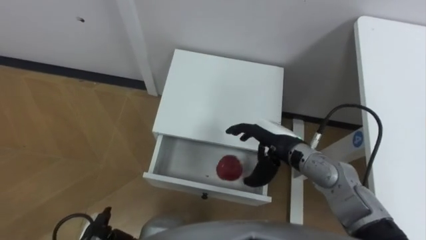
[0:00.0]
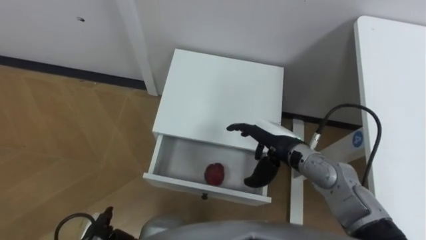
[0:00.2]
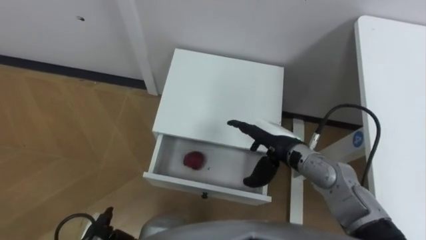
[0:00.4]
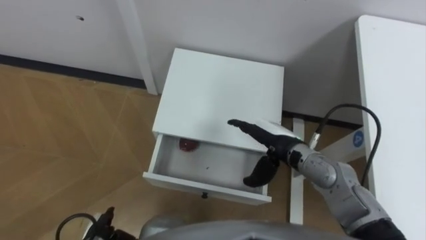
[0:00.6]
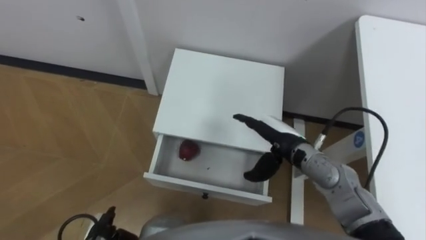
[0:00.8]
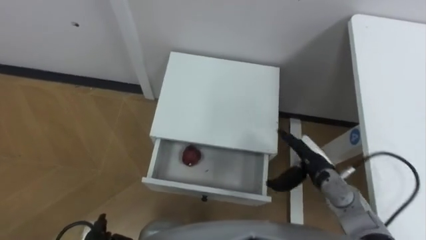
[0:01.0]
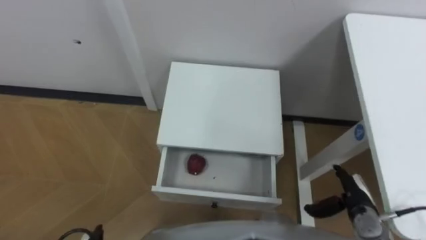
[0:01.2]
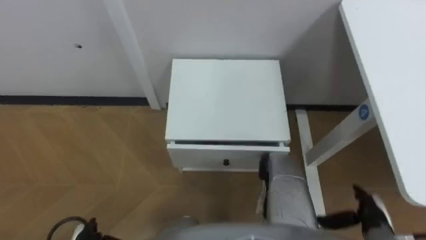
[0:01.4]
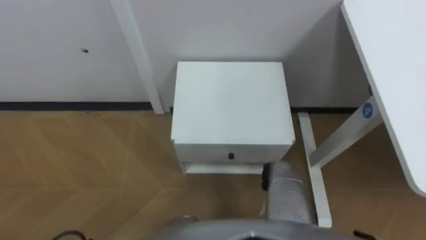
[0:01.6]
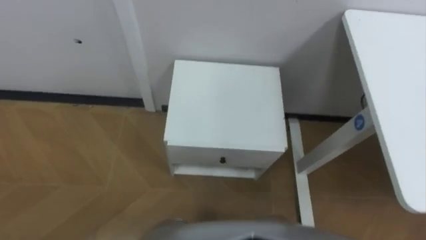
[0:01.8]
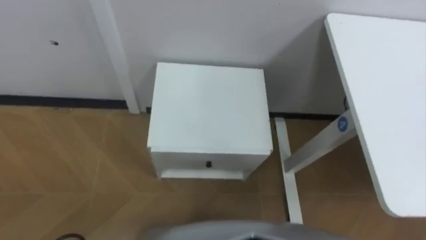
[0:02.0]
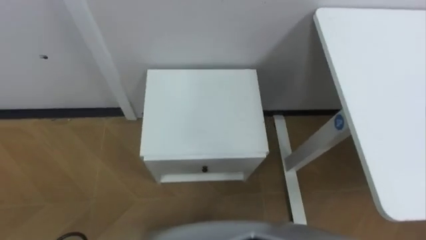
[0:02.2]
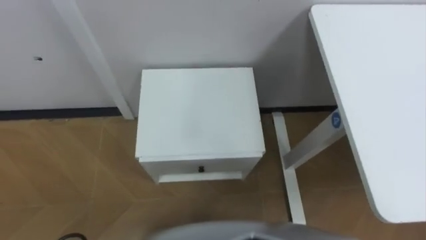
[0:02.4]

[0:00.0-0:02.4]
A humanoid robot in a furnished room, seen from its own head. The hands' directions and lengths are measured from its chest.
Task of the whole recording: Pick up the apple from the table, put it in the drawer, and close the drawer with leg.
0:00.0 to 0:01.2: The right hand moves to the right, backward and downward, roughly 25 cm.

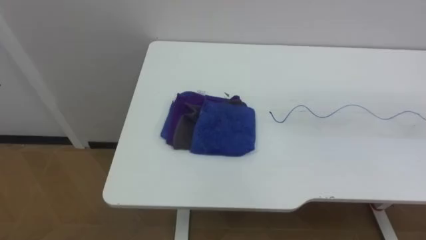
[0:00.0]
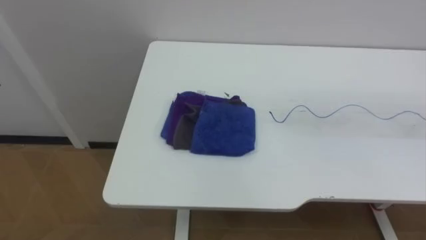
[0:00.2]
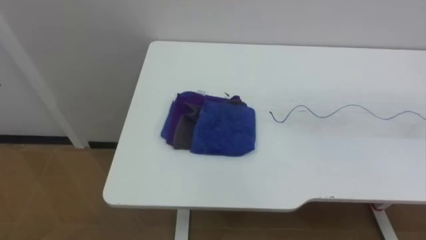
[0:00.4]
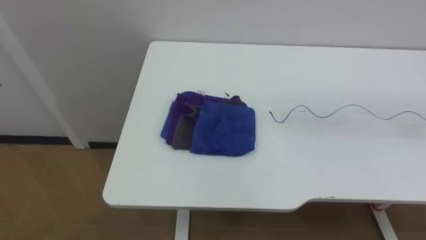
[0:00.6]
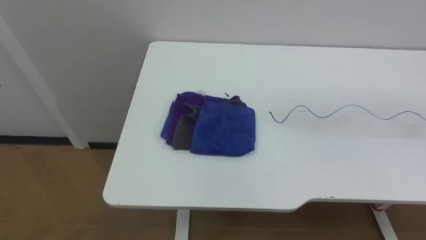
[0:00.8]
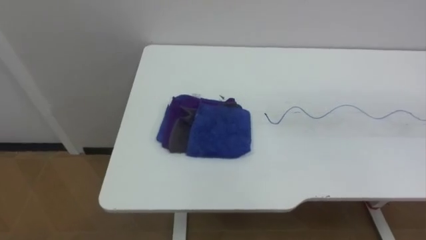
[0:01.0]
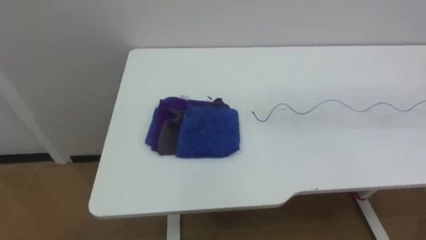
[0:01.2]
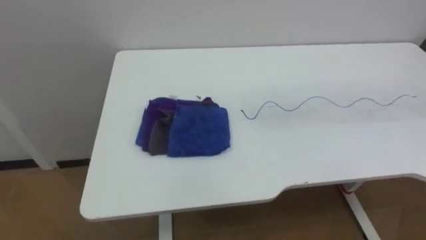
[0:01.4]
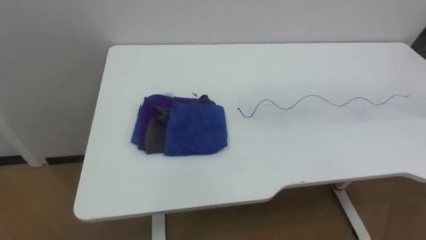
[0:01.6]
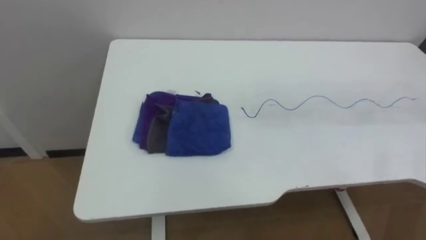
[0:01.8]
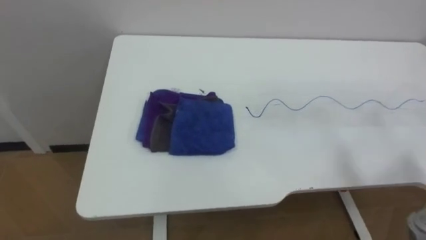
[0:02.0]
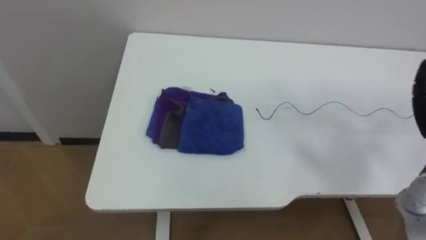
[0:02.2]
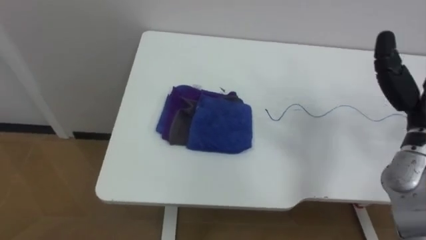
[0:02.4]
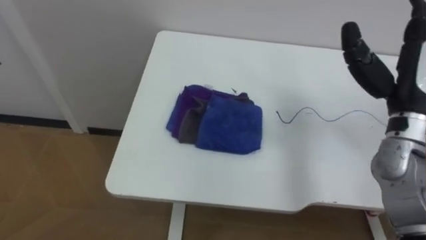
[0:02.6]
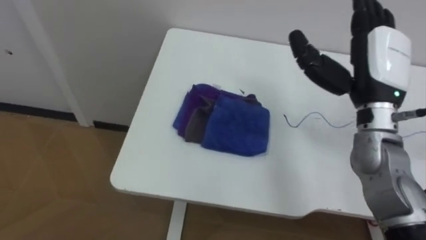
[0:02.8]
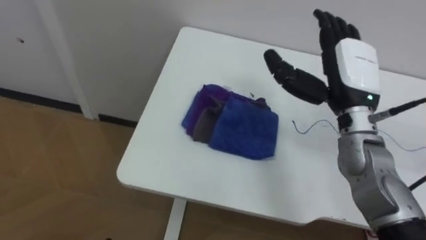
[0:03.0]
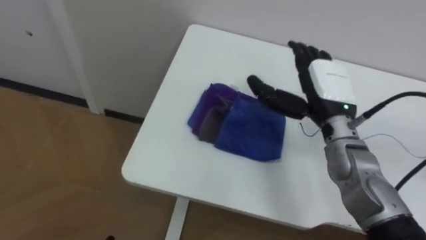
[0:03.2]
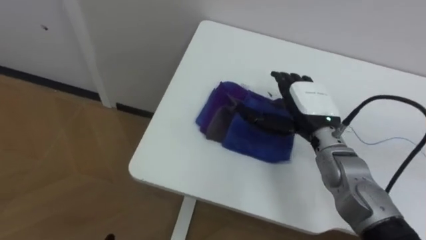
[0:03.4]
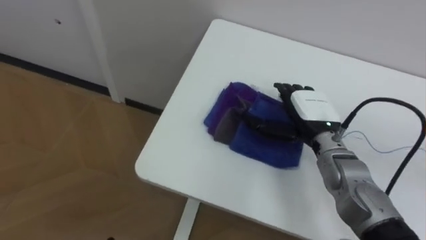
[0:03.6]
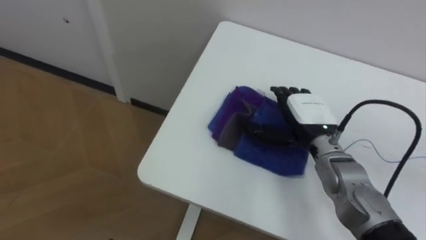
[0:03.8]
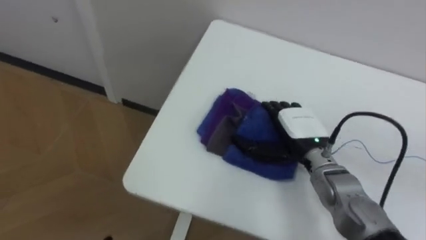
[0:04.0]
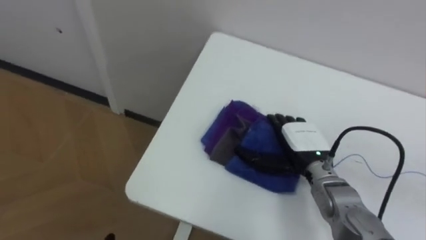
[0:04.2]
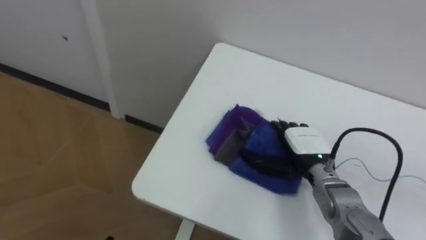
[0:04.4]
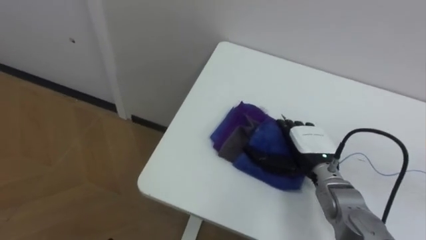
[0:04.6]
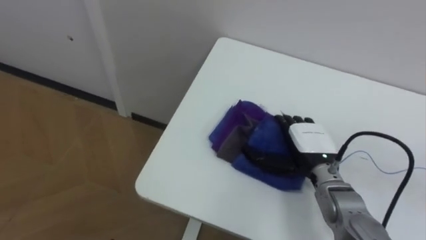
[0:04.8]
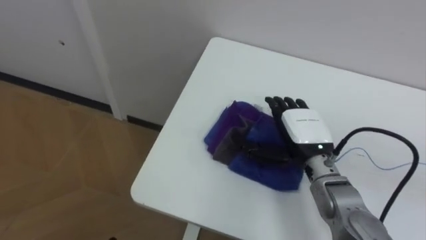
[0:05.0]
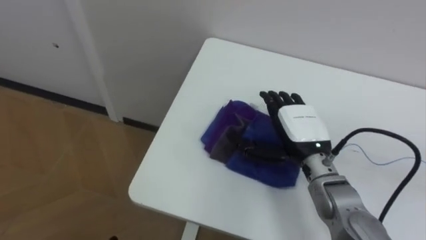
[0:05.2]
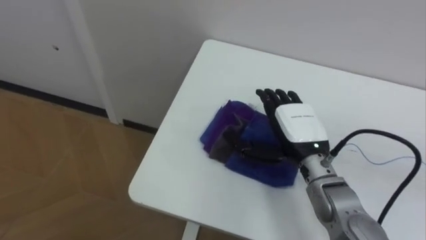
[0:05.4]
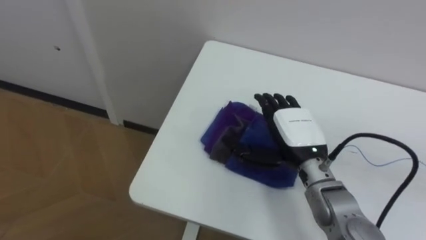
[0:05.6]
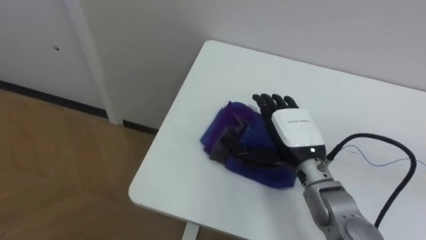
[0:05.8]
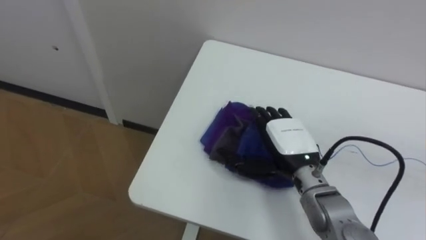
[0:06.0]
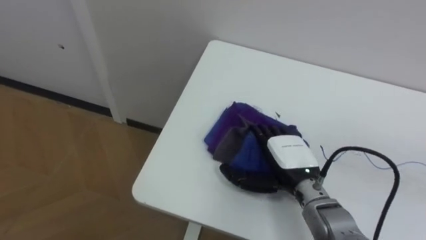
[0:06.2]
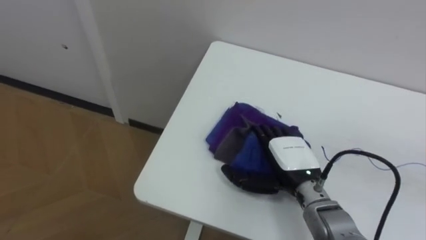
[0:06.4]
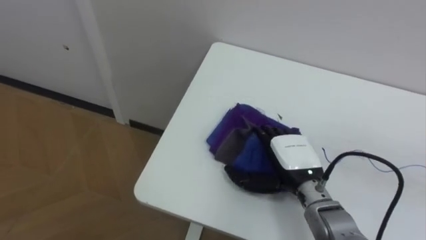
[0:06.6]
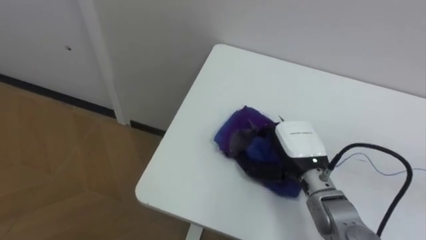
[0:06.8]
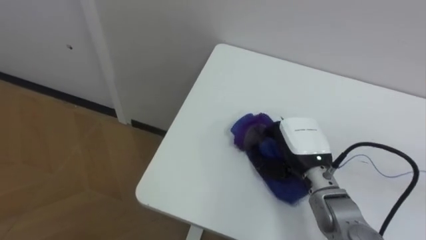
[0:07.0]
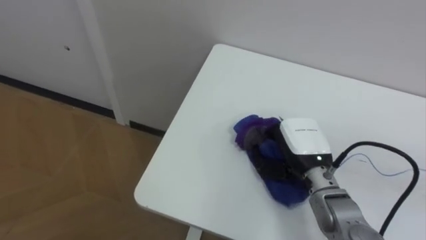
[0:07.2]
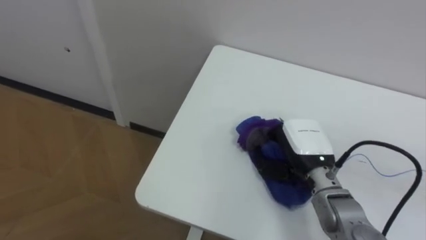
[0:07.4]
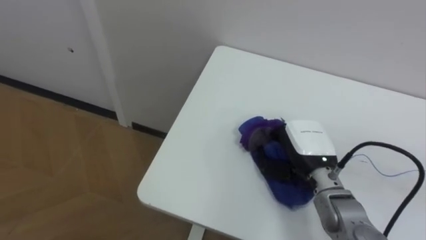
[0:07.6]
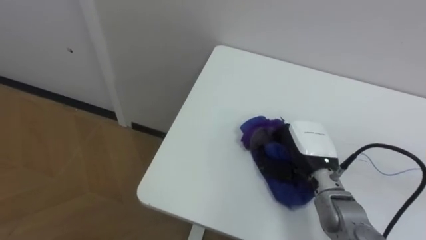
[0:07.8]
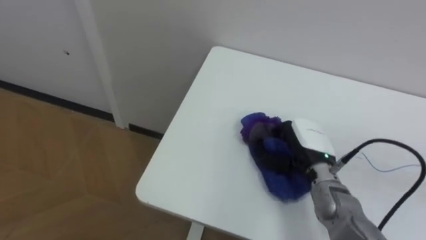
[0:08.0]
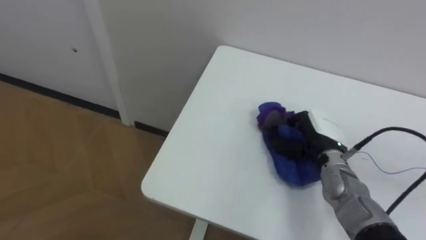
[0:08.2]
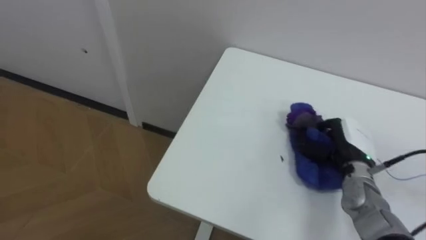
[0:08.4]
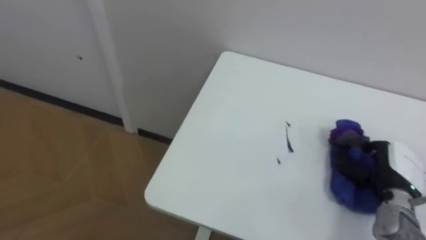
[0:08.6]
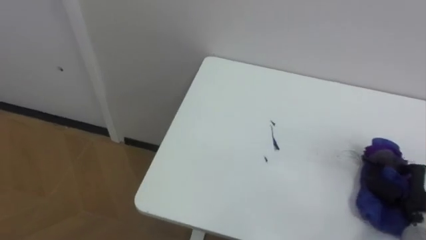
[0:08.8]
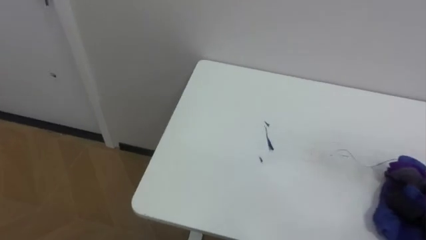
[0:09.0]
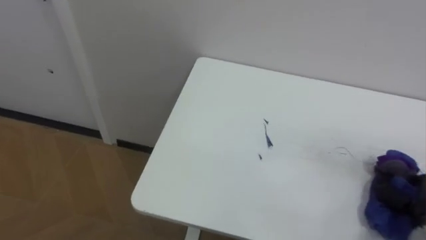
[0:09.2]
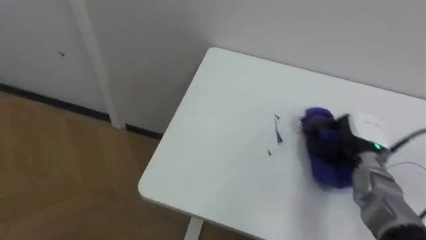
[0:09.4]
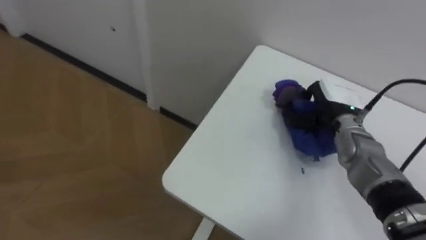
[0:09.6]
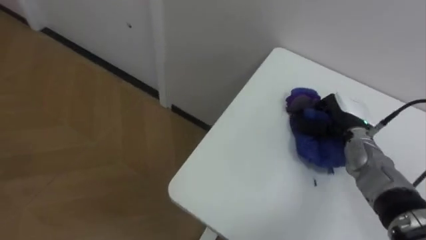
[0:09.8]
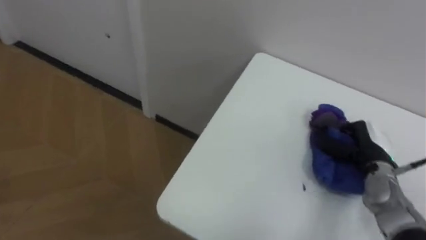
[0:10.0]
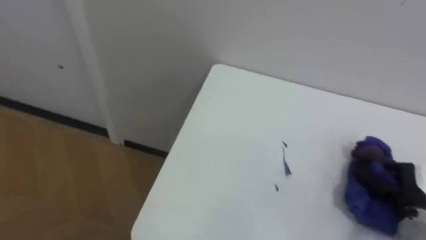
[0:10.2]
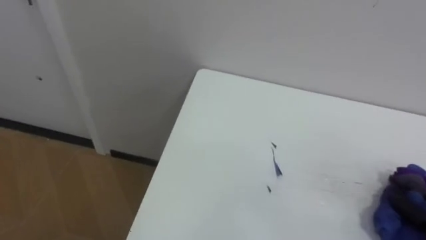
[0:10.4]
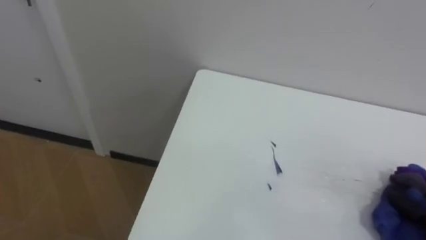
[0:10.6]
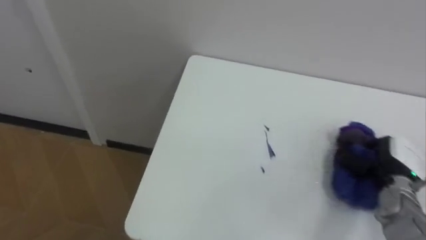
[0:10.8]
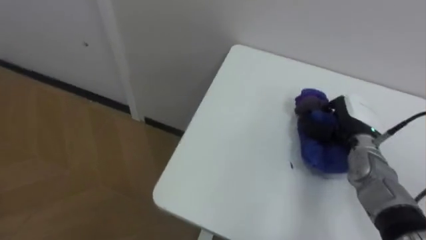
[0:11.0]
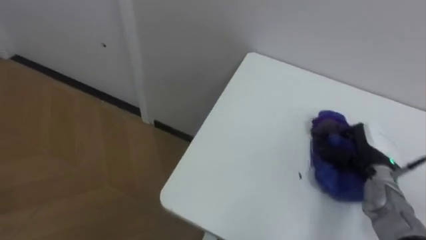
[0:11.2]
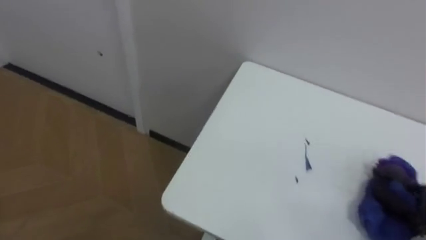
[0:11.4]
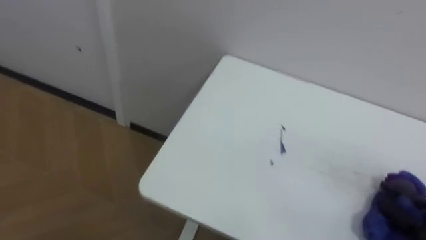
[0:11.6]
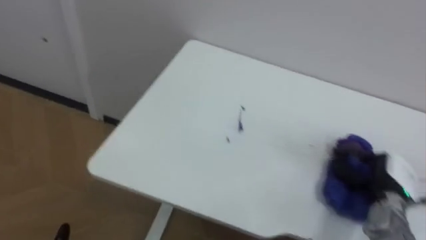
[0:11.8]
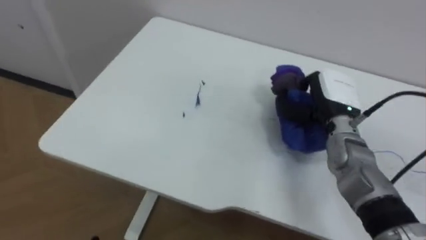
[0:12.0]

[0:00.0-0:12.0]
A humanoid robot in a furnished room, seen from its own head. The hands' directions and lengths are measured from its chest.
Task of the whole recording: Wipe the blue pen marks off the table with the rag.
0:03.0 to 0:04.4: The right hand is displaced downward by approximately 15 cm.
0:04.4 to 0:06.0: The right hand shifts by approximately 5 cm.
0:06.0 to 0:07.6: The right hand closes its fingers.

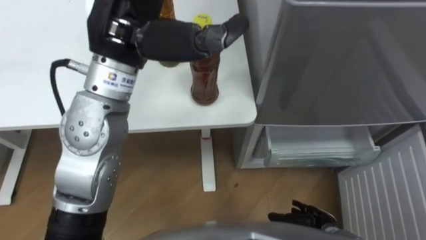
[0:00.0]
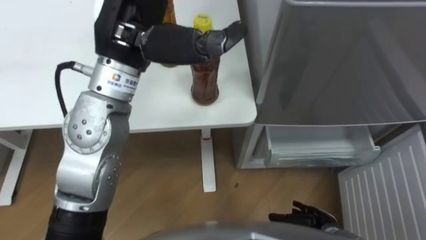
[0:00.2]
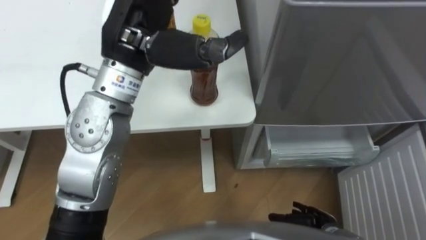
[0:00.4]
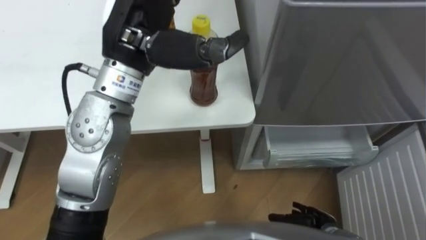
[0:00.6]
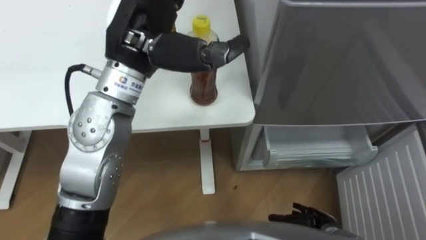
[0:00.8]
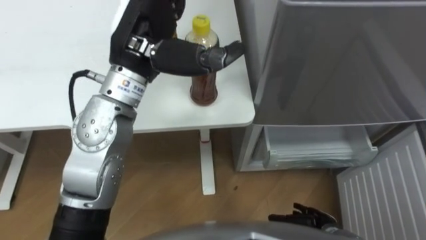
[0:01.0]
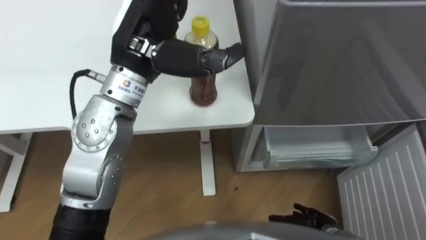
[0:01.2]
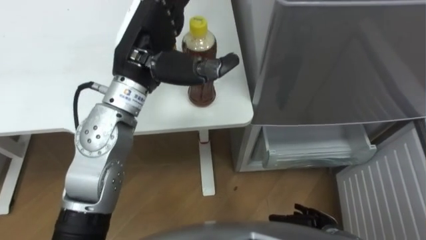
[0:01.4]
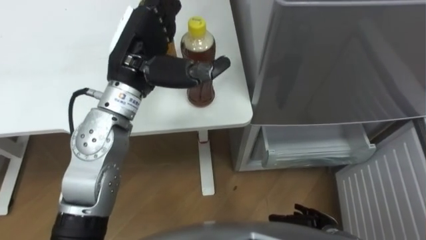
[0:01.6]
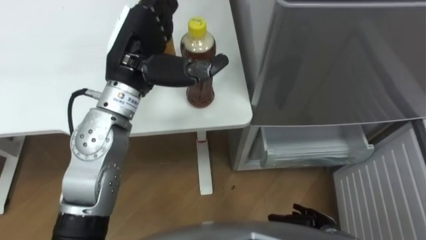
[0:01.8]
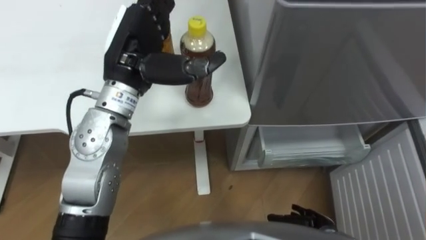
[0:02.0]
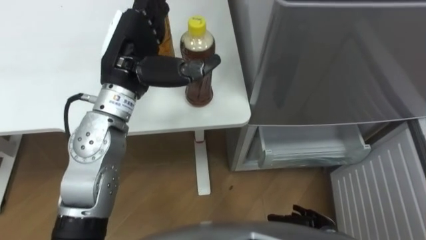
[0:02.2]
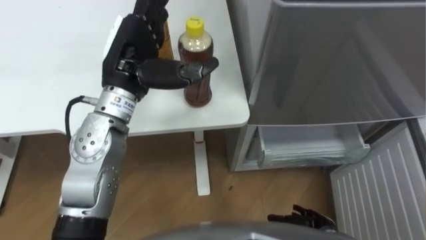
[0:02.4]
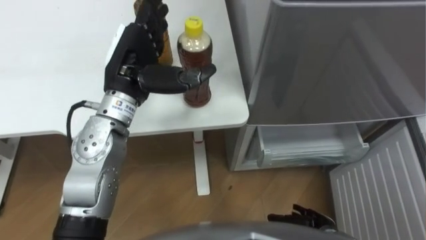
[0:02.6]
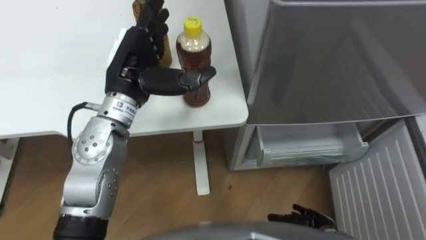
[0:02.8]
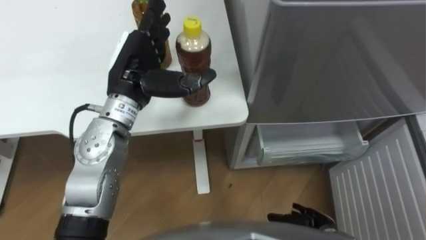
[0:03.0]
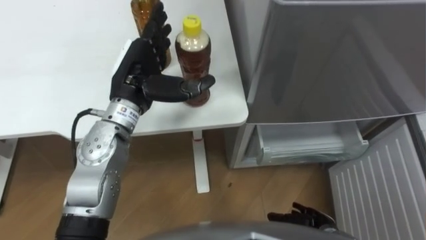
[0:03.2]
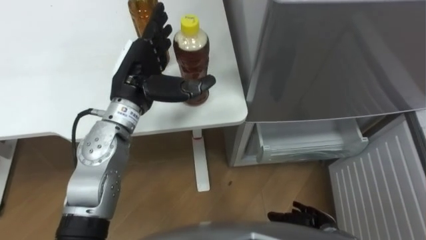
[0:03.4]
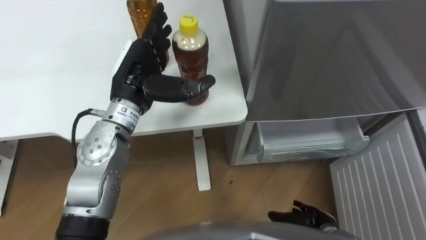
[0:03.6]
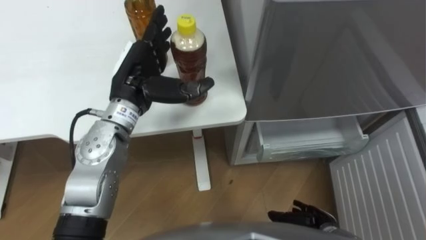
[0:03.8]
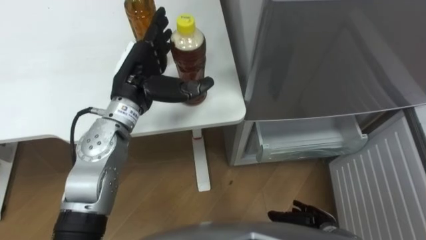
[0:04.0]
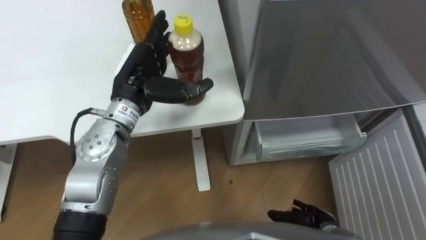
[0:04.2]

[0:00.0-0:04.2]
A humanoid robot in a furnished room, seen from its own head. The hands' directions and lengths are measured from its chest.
Task of the whole recording: Place the drink on the table on the bottom shelf of the refrigerator, then close the drawer and the refrigerator door.
0:00.0 to 0:01.4: The left hand moves downward, approximately 5 cm.
0:01.4 to 0:02.8: The left hand moves downward, roughly 5 cm.
